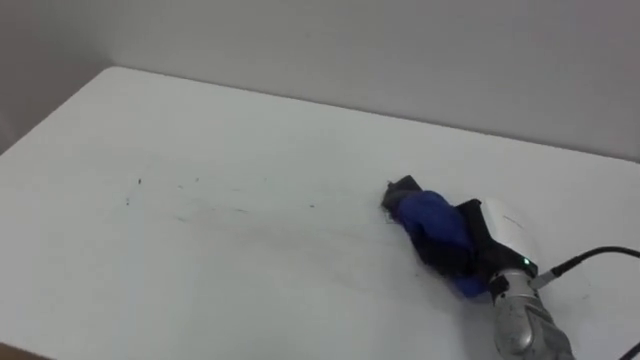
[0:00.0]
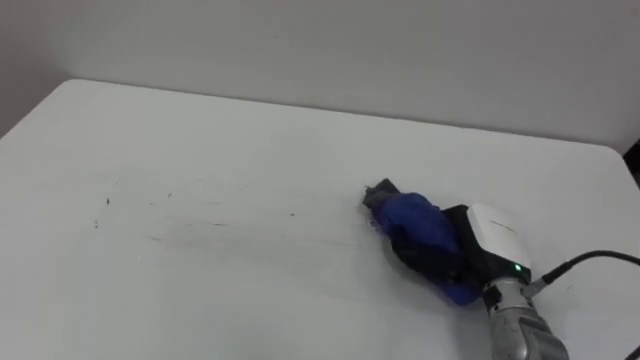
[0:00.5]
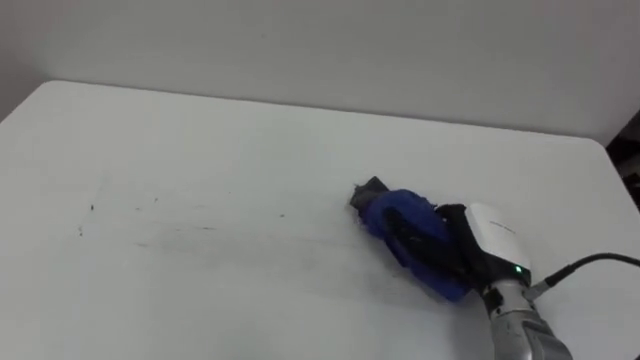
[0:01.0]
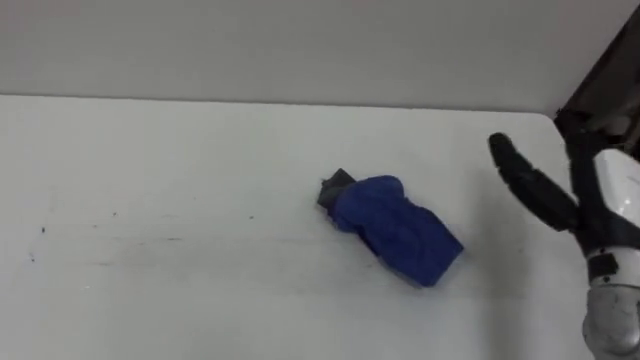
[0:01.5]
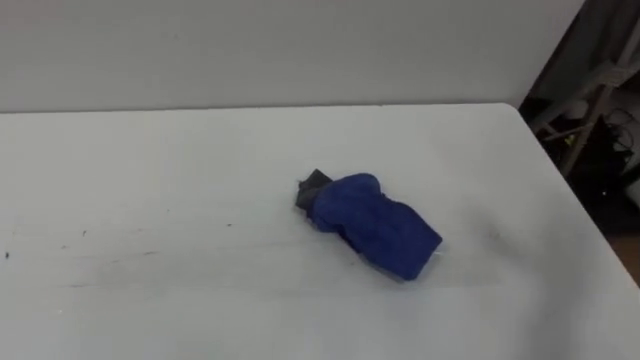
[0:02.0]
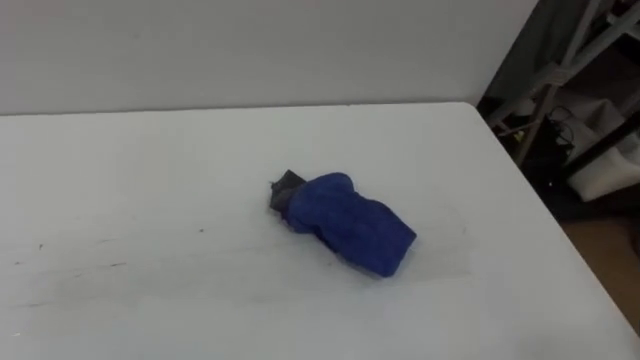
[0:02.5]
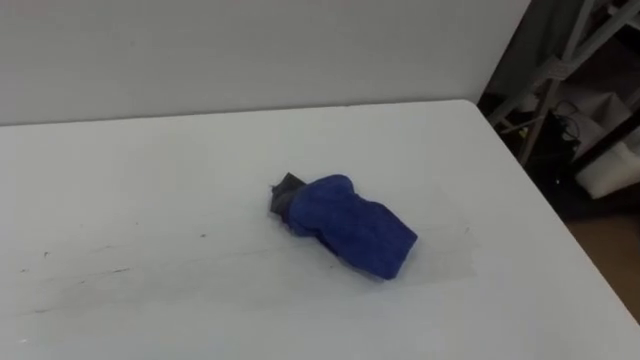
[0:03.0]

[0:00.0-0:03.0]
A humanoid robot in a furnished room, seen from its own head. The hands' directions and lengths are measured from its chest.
Task of the whole recording: Wipe the blue pen marks off the table with the rag.
0:00.0 to 0:01.5: The right hand heads upward and to the right, covering approximately 15 cm, and opens.

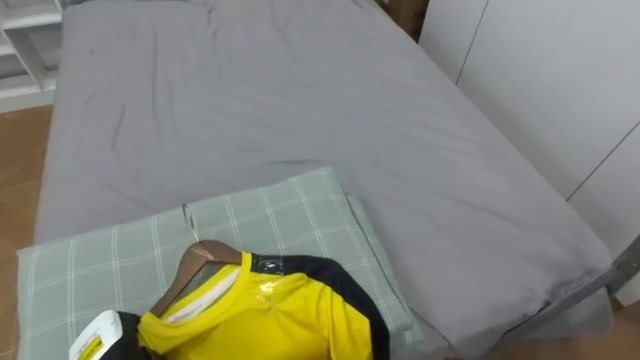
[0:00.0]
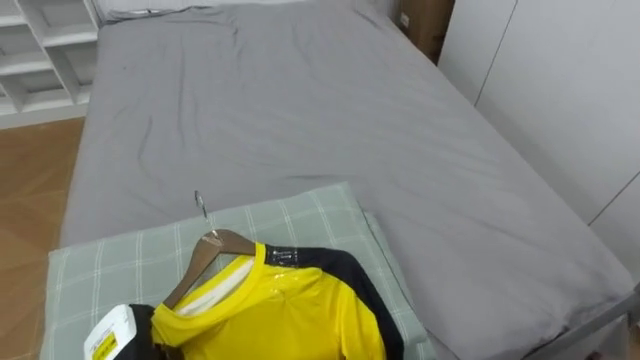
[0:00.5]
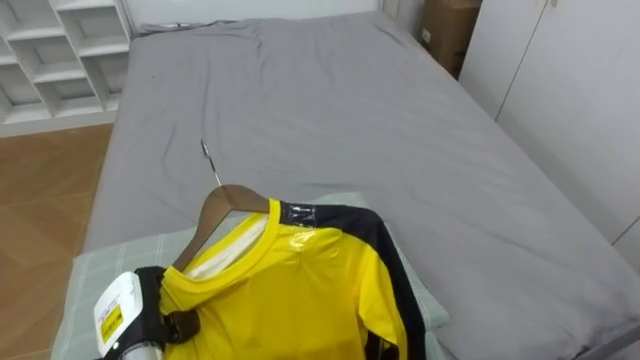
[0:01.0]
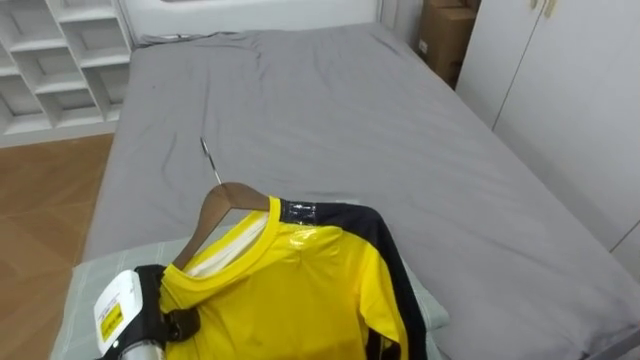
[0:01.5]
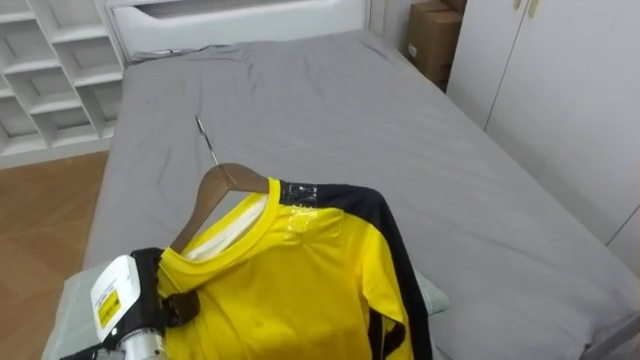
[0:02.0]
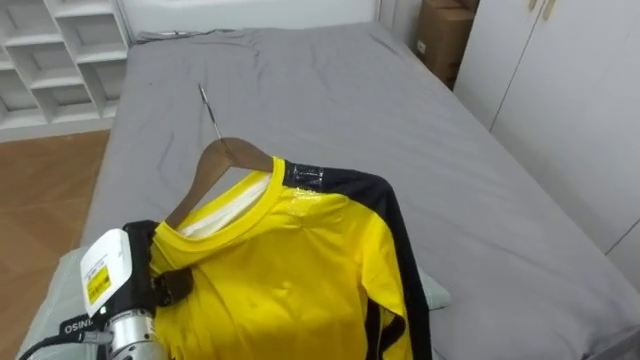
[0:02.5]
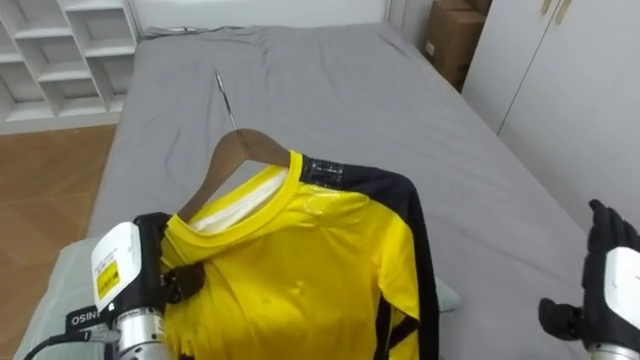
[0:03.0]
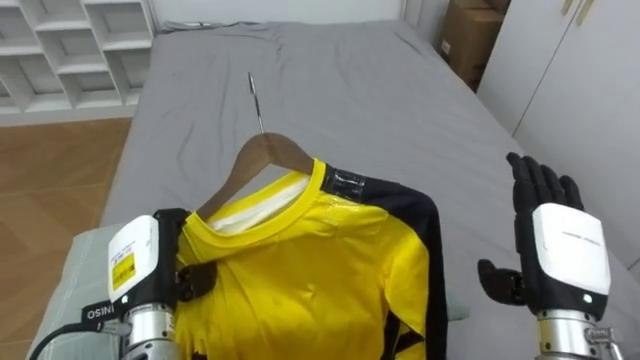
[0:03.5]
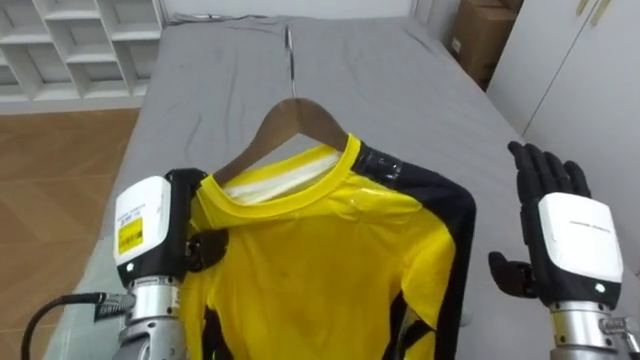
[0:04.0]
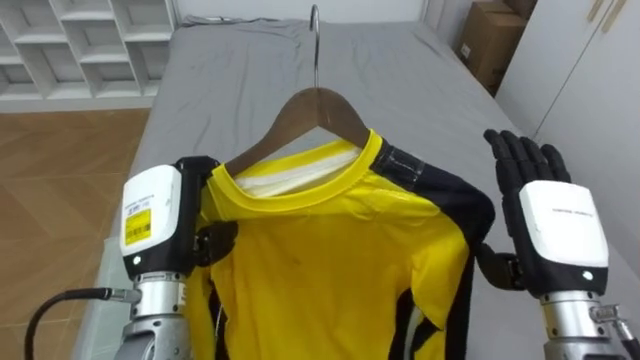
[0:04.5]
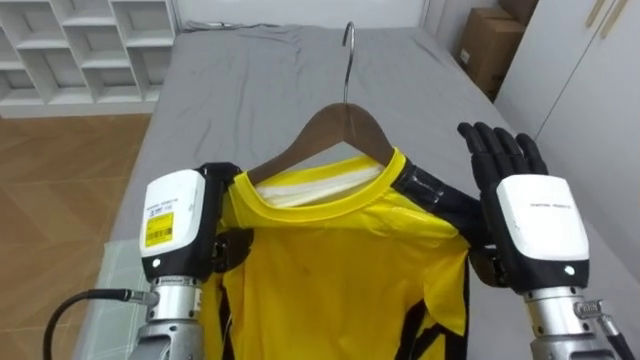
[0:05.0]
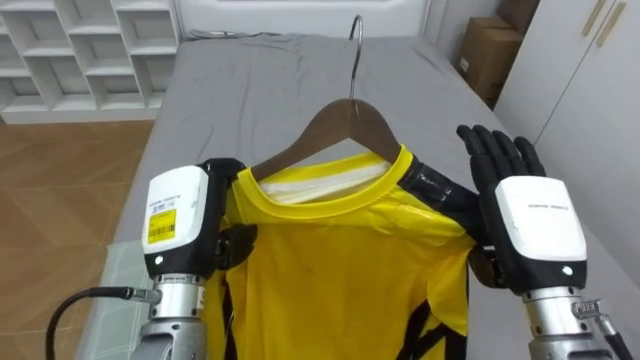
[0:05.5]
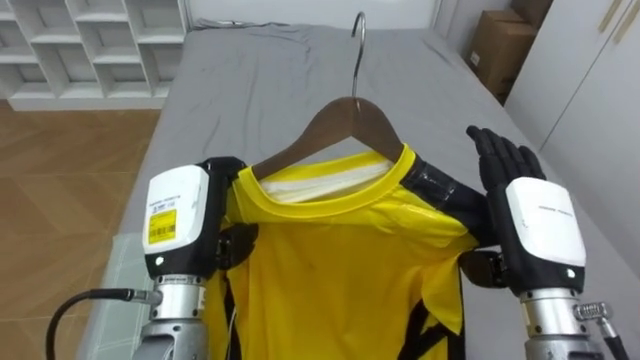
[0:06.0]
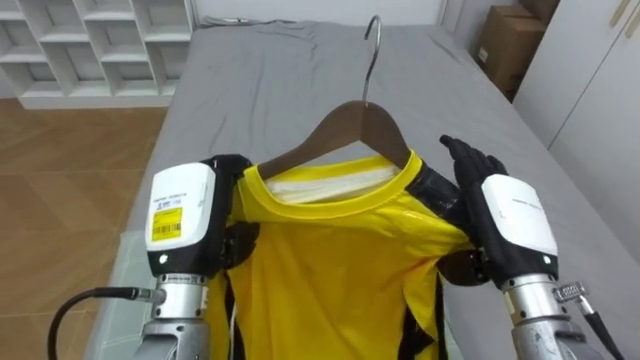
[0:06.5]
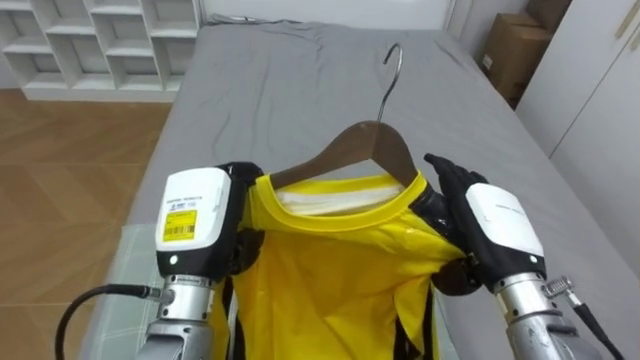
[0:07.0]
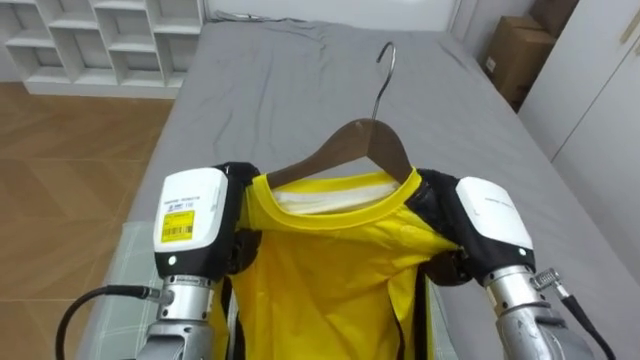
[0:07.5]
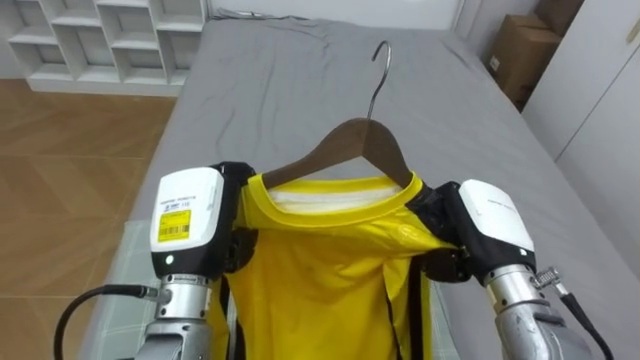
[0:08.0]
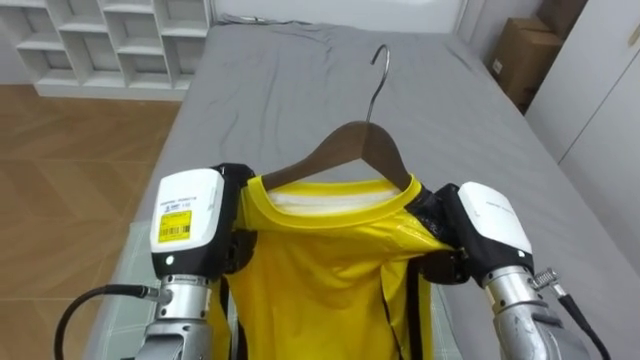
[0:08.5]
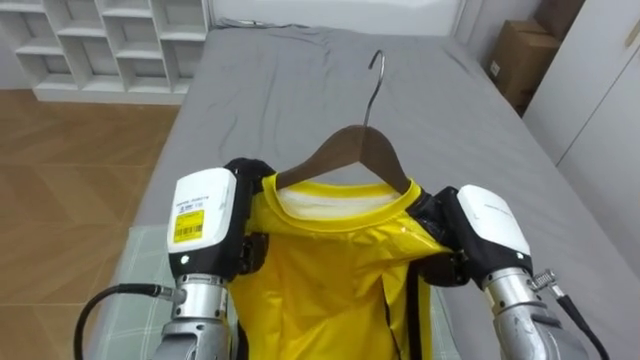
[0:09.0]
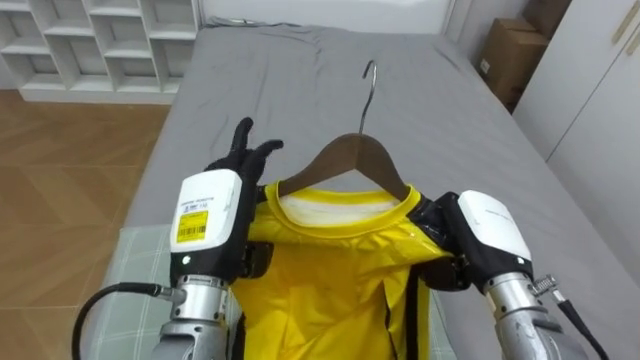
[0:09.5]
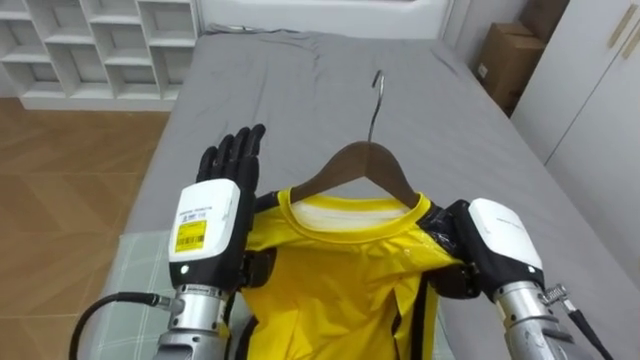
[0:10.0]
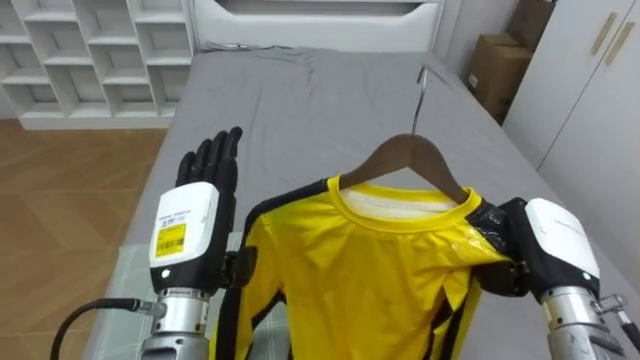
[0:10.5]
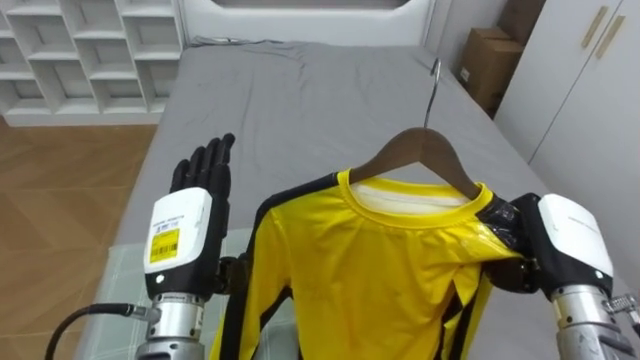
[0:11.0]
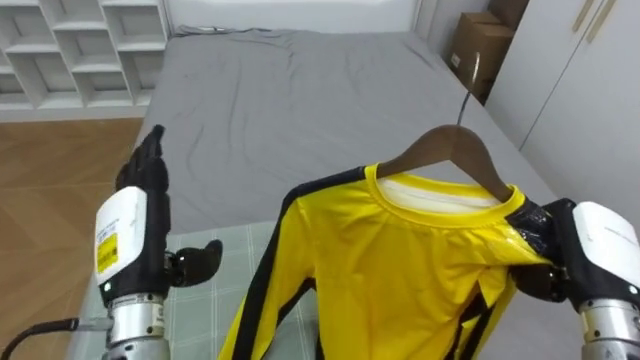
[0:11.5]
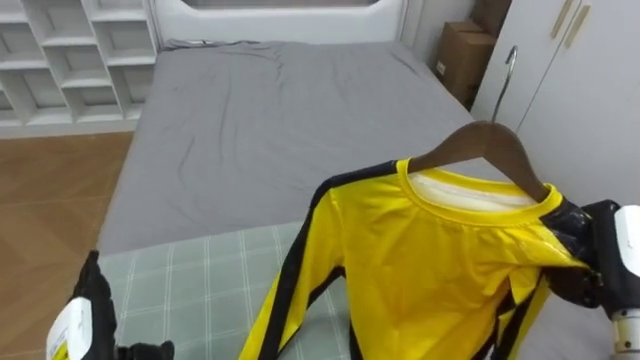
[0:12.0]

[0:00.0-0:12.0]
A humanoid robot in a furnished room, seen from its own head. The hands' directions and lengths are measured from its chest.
Task of the whole recording: Pick up the yellow shirt on the bed and hang it on the clothes rack on the right.
0:00.0 to 0:02.0: The left hand moves upward, roughly 10 cm.
0:02.0 to 0:04.0: The left hand shifts about 10 cm upward.
0:04.0 to 0:06.0: The left hand changes place by some 5 cm.
0:06.0 to 0:08.0: The right hand moves about 5 cm, and closes its fingers.
0:08.0 to 0:10.0: The left hand opens up.
0:10.0 to 0:12.0: The right hand heads to the right, covering some 15 cm. The left hand is displaced to the left, downward and backward by about 20 cm.

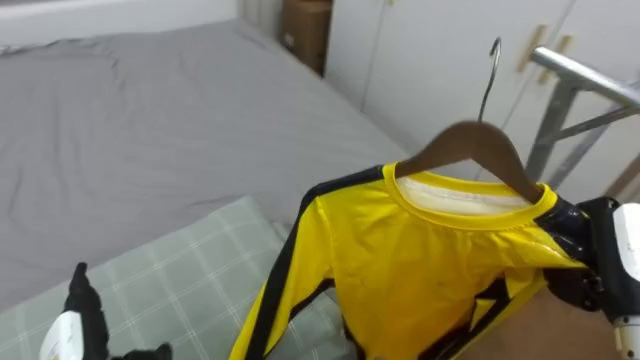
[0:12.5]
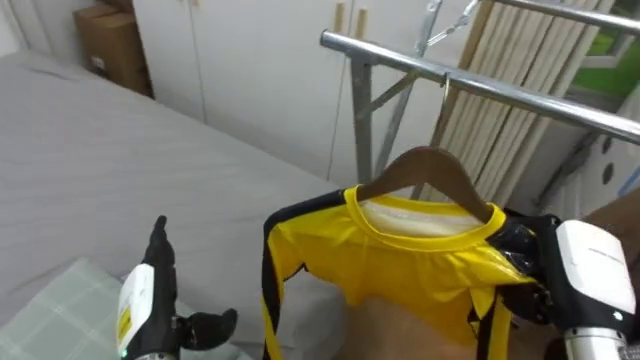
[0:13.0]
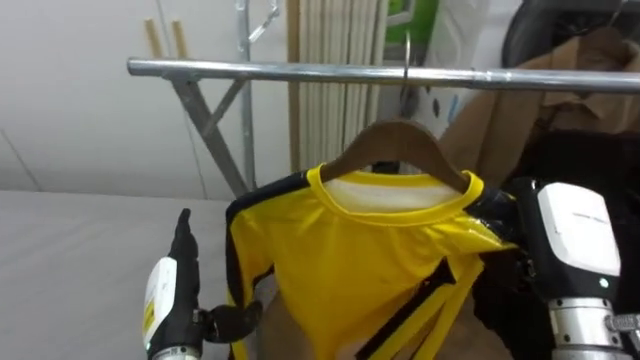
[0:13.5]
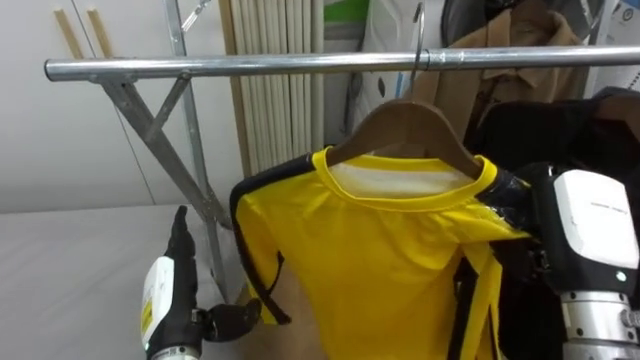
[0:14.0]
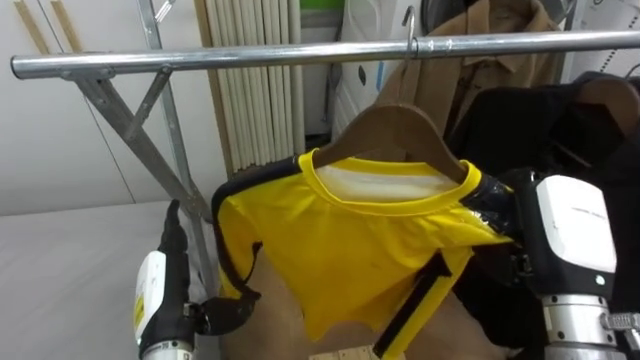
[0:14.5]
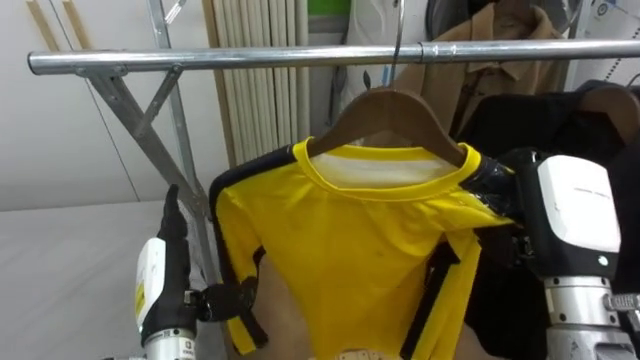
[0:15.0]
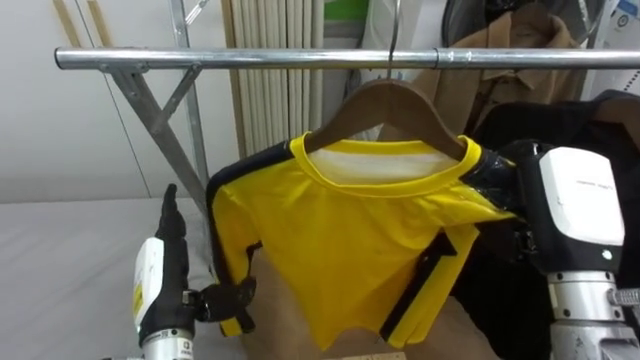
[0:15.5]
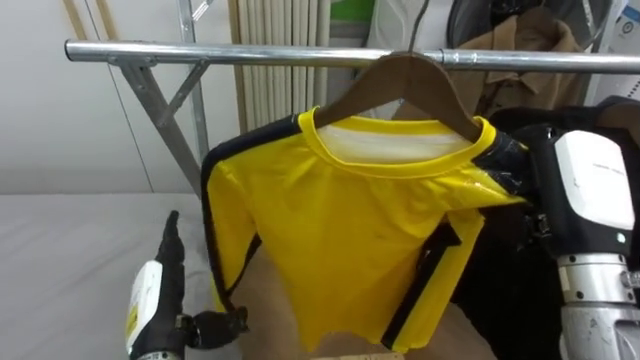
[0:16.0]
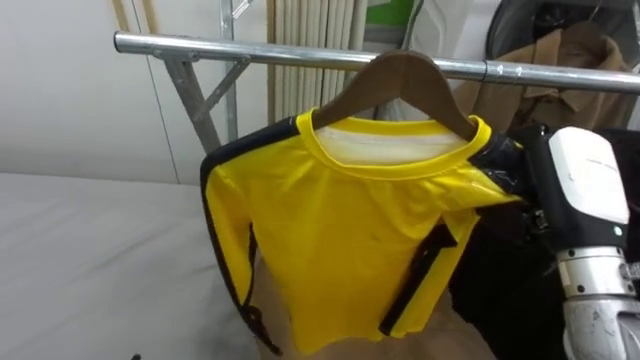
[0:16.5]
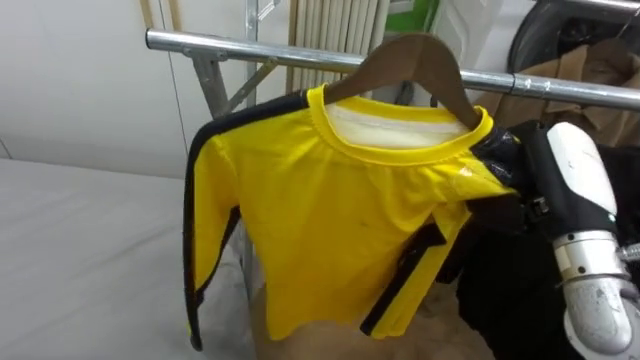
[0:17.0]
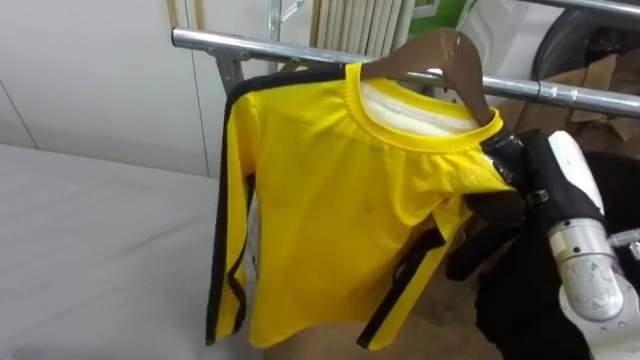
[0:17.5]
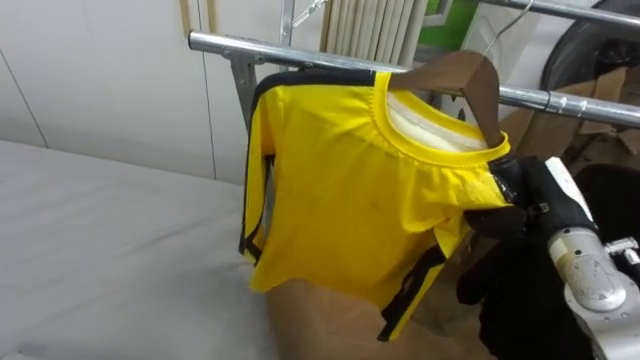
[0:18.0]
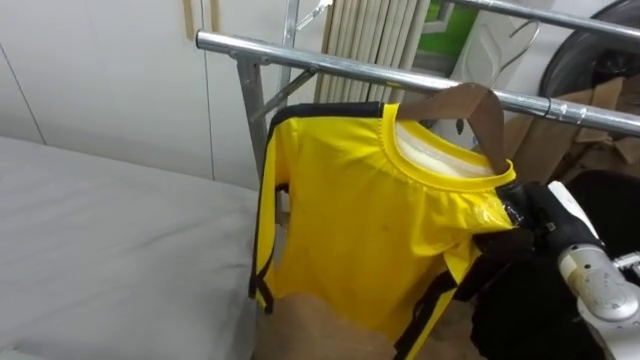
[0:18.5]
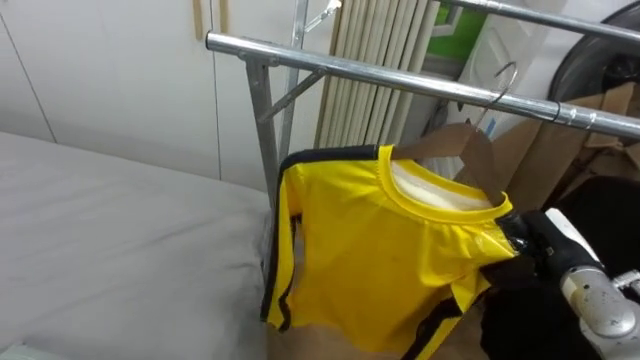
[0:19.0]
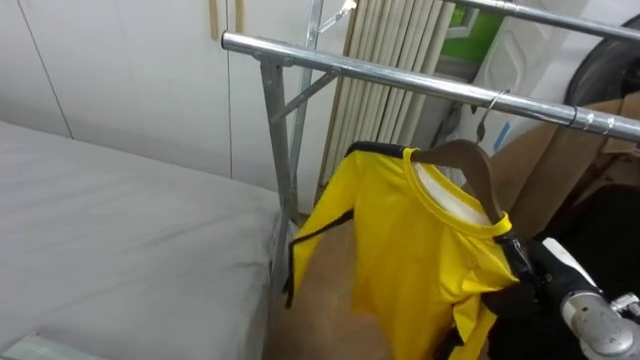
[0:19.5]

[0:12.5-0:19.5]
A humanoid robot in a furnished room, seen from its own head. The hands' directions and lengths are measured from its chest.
Task of the whole recording: Pick up the yellow shirt on the bed and hang it on the clothes rack on the right.
0:12.5 to 0:14.5: The robot turns to its right by about 65 degrees. The right hand shifts approximately 10 cm to the left.
0:16.0 to 0:17.5: The right hand shifts about 5 cm forward.
0:17.5 to 0:19.5: The right hand moves downward, some 15 cm.
